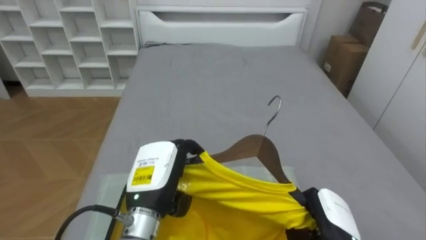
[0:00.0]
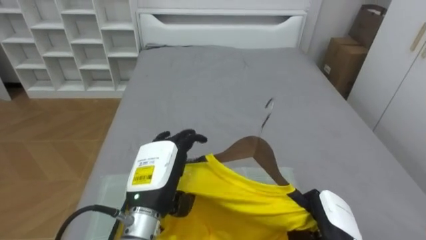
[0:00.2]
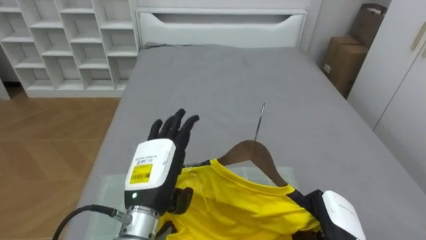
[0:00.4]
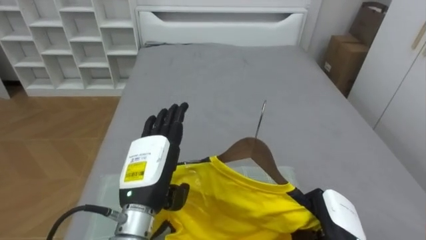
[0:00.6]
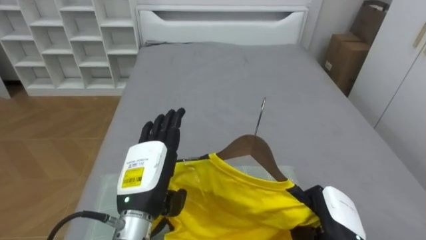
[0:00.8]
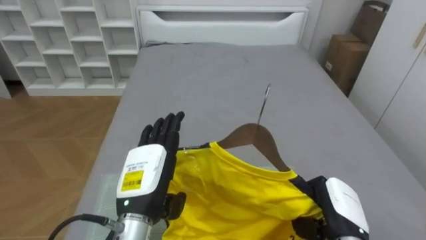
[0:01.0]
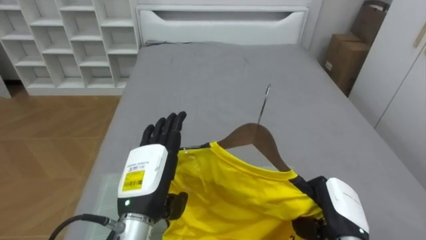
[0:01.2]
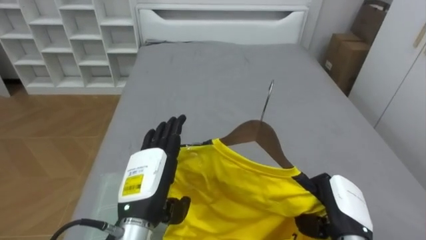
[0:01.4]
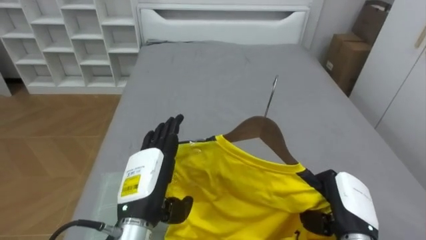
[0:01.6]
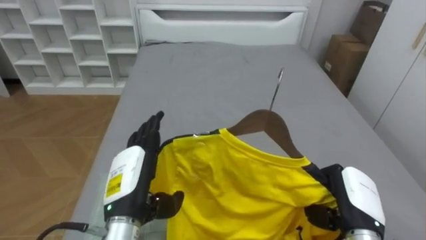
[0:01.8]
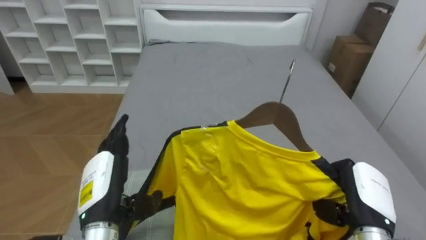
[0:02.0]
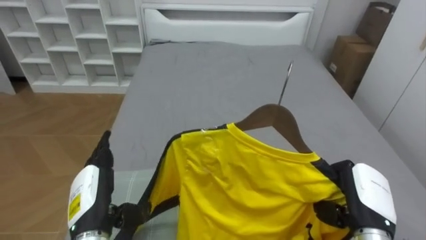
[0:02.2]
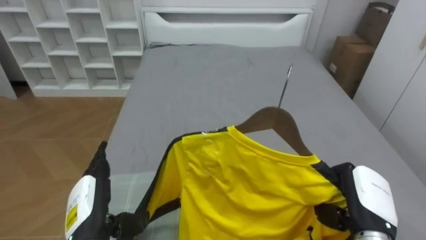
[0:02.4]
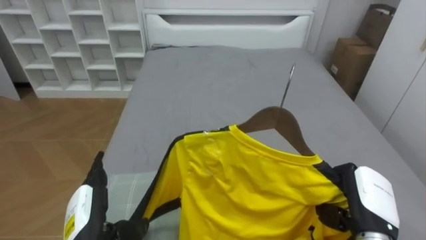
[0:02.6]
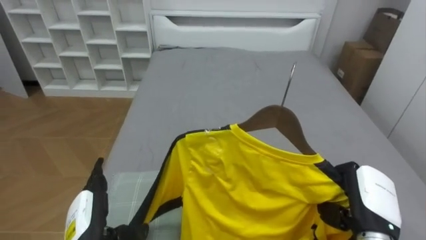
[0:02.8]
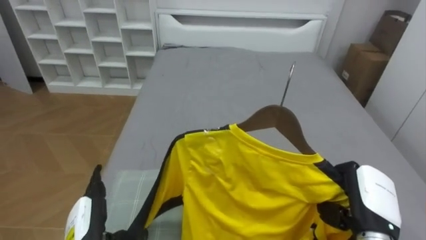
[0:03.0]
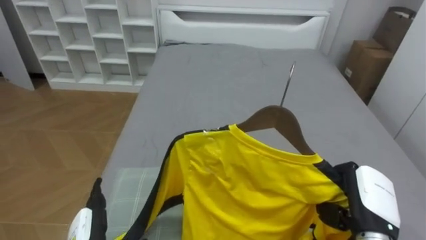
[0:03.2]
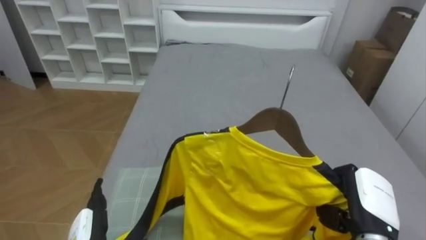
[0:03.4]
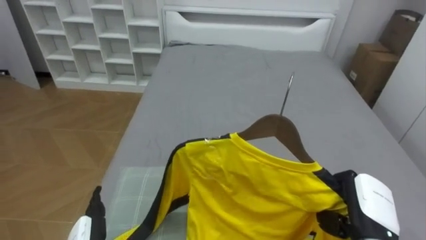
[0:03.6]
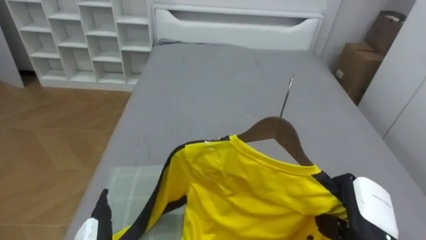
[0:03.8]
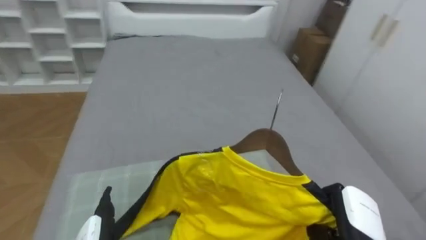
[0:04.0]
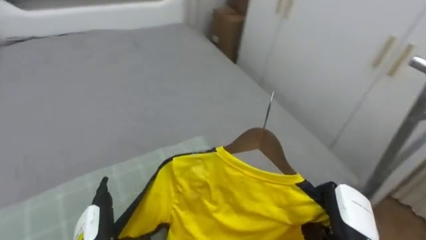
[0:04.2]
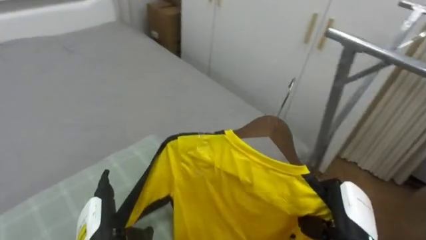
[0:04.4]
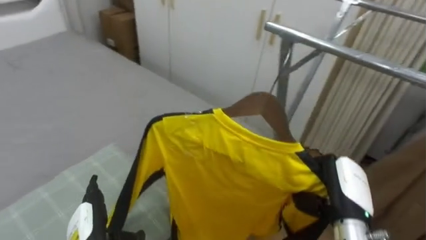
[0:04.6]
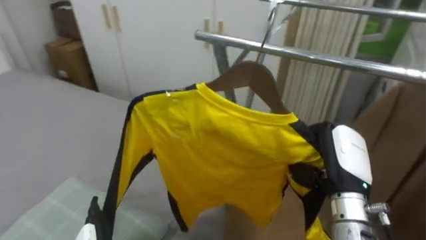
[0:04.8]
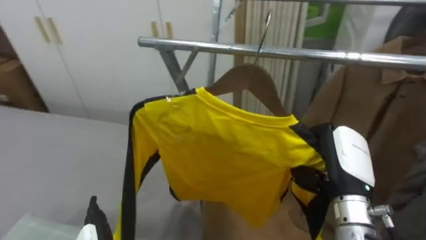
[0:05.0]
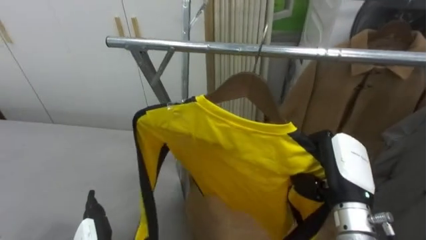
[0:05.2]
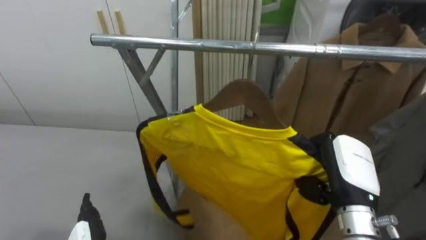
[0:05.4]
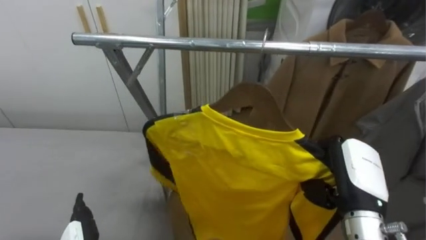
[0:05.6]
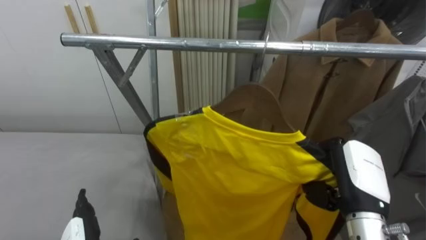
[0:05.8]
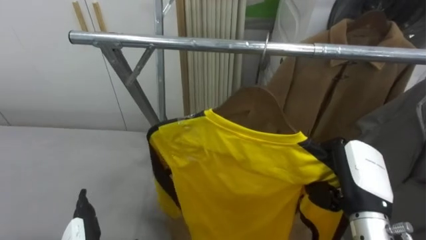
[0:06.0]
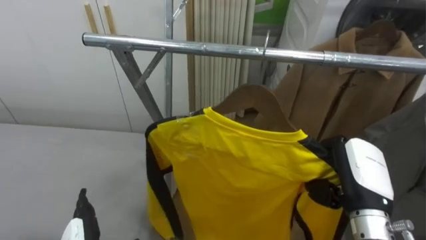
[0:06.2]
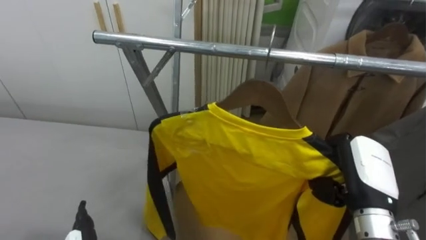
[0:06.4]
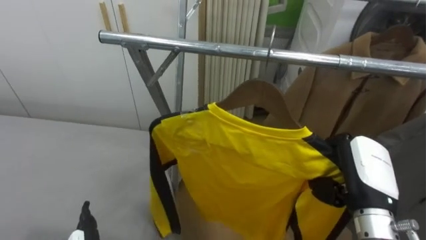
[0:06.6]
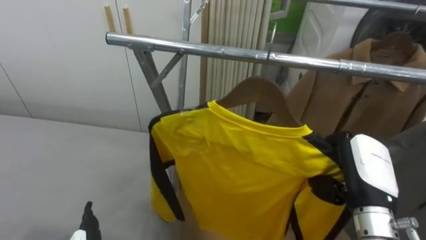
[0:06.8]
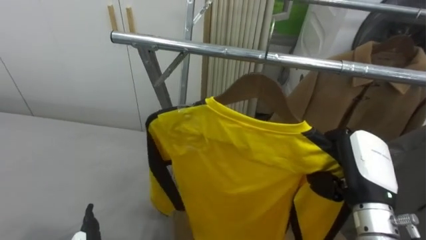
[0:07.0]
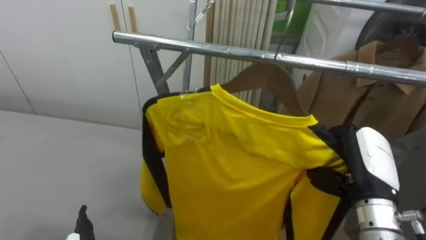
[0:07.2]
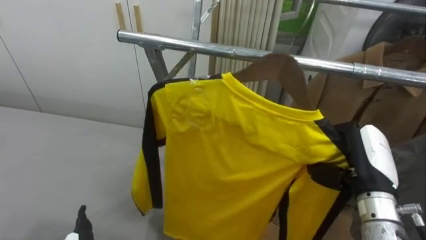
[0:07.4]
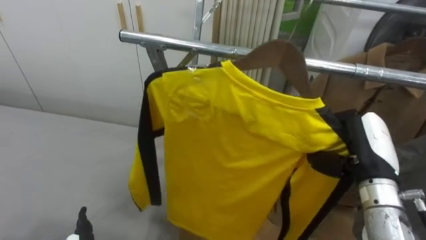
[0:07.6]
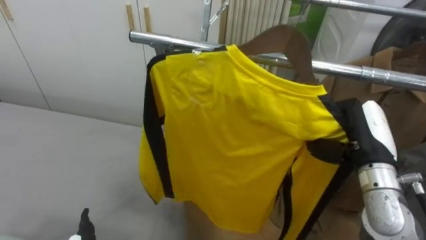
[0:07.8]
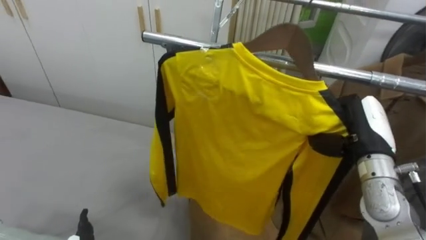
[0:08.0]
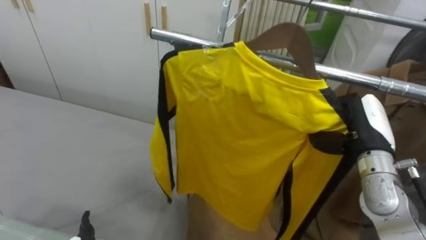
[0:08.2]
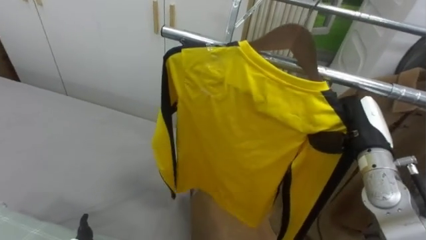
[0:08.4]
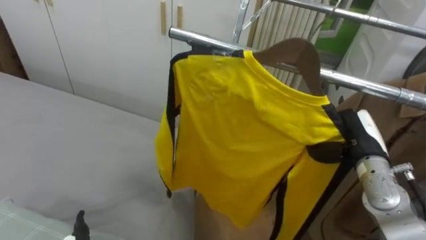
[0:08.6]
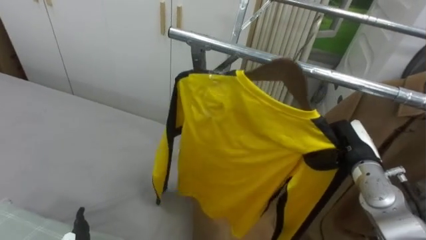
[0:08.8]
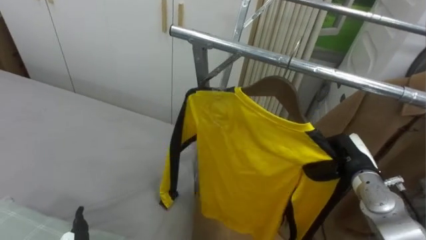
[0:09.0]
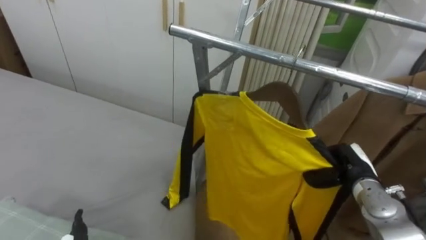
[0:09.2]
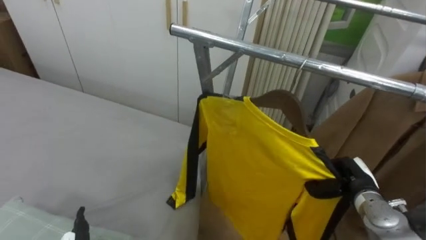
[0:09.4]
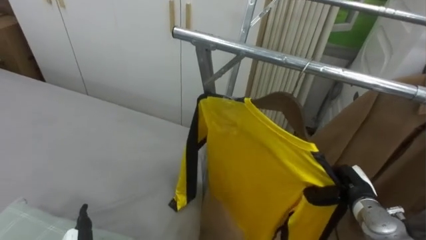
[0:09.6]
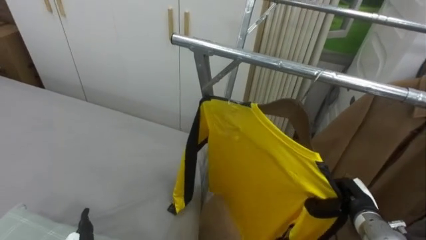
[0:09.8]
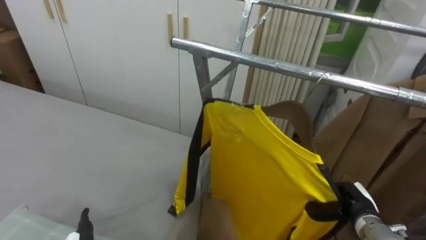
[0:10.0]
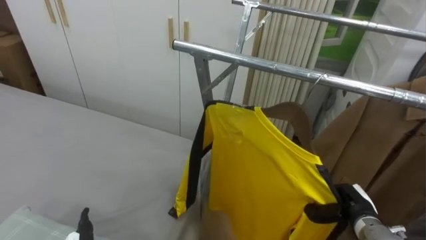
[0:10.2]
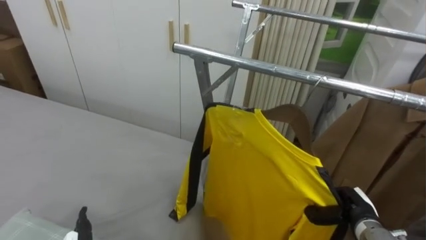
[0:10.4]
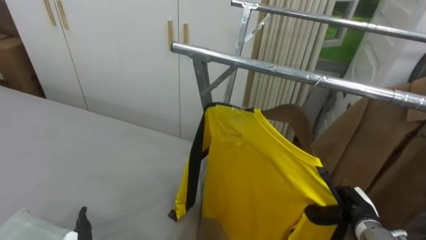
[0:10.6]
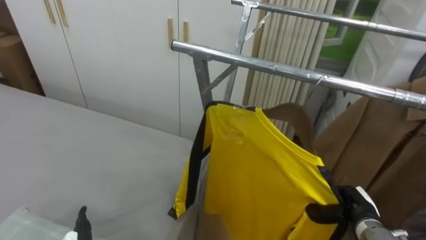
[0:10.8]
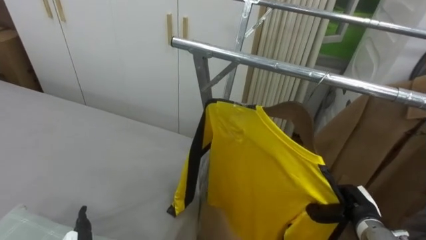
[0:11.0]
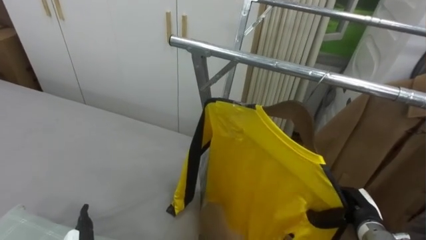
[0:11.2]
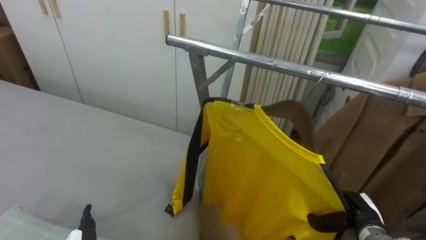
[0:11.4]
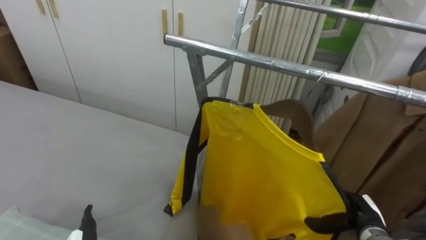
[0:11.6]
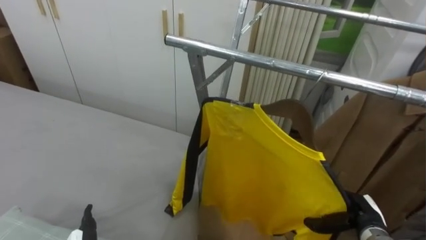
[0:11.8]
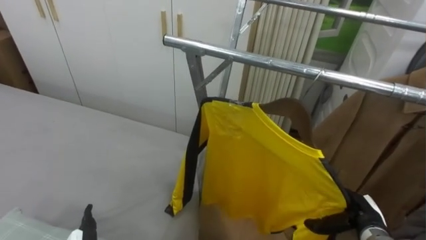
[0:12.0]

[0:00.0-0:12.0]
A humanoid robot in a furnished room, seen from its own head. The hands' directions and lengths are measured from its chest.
Task of the whole recording: Pick up the yellow shirt on the bed and hang it on the clothes rack on the right.
0:00.0 to 0:01.6: The left hand opens.
0:01.6 to 0:03.0: The left hand shifts approximately 15 cm to the left and downward.
0:03.0 to 0:04.4: The robot turns to its right by roughly 45 degrees.
0:04.4 to 0:06.0: The robot rotates approximately 40 degrees to its right. The right hand is displaced upward by some 10 cm.
0:07.6 to 0:09.0: The right hand heads downward and forward, covering about 10 cm.
0:09.0 to 0:10.4: The right hand goes approximately 10 cm downward and backward.
0:10.4 to 0:12.0: The right hand opens its fingers.

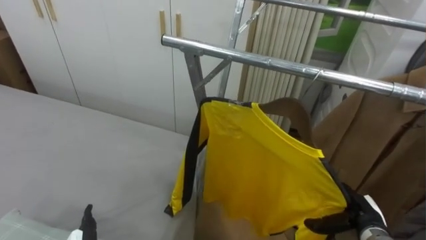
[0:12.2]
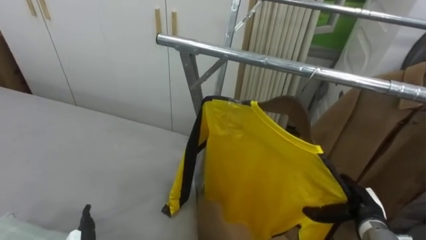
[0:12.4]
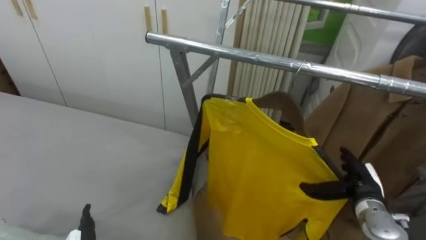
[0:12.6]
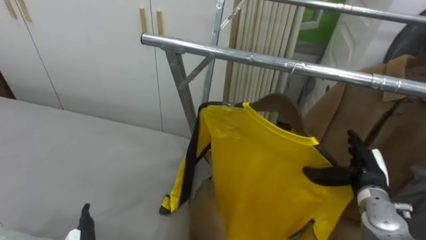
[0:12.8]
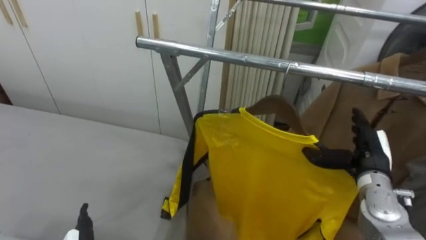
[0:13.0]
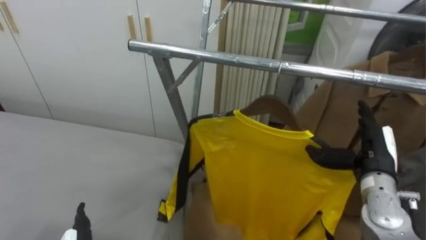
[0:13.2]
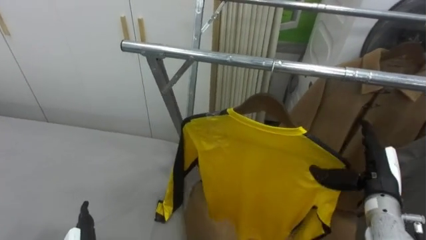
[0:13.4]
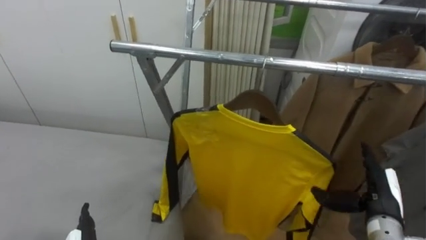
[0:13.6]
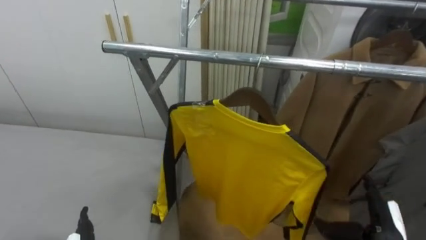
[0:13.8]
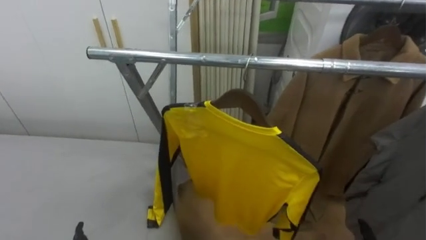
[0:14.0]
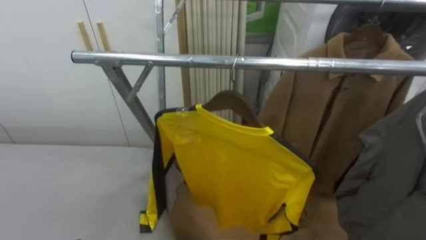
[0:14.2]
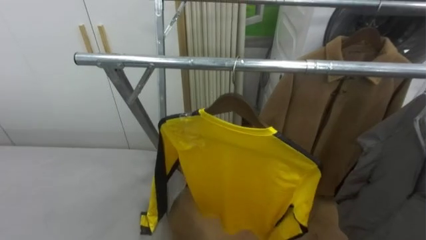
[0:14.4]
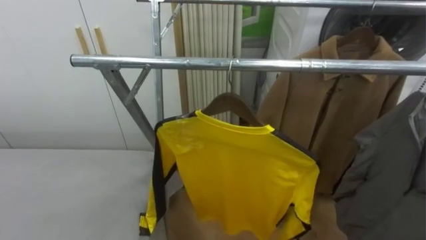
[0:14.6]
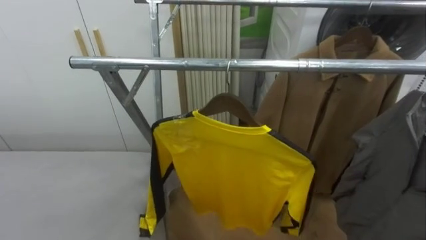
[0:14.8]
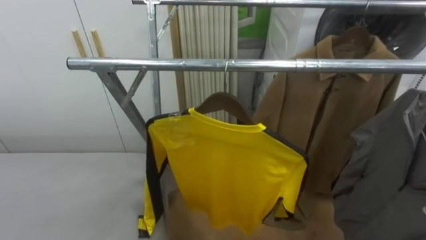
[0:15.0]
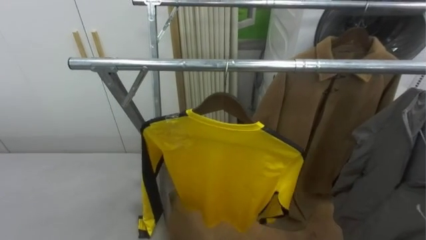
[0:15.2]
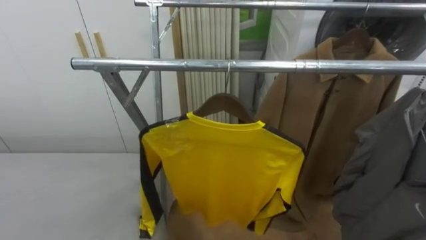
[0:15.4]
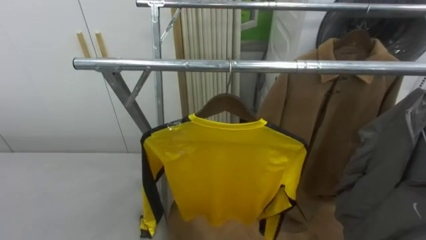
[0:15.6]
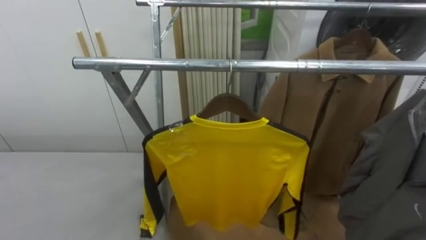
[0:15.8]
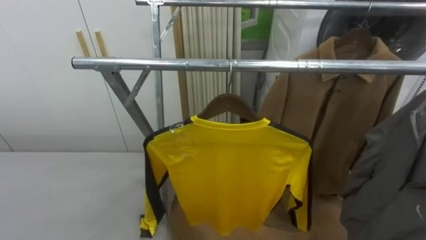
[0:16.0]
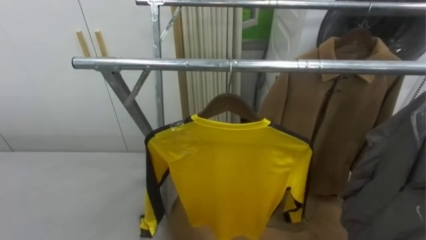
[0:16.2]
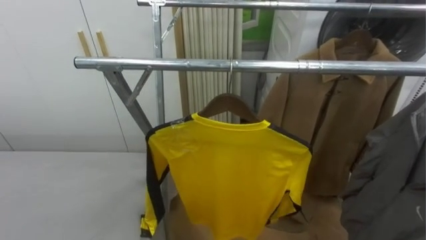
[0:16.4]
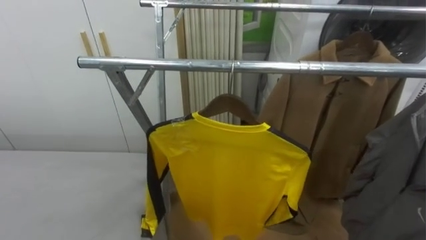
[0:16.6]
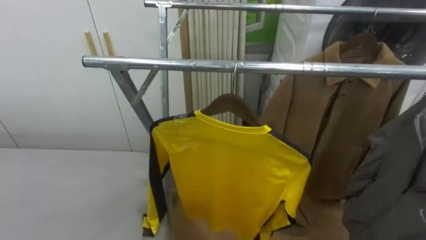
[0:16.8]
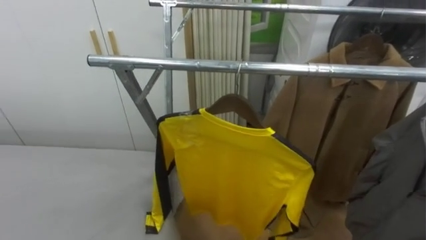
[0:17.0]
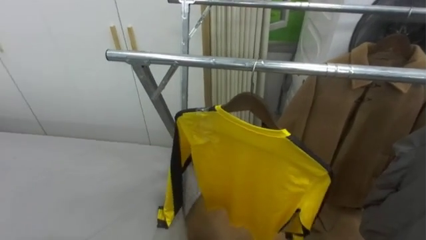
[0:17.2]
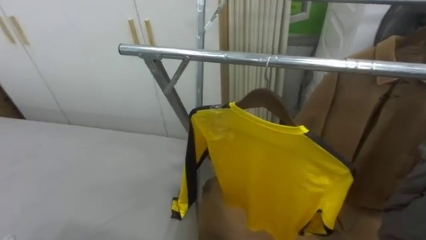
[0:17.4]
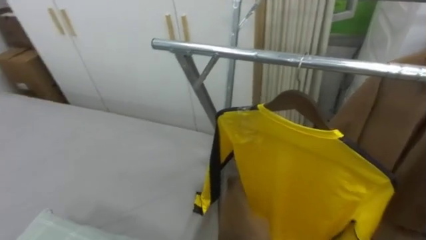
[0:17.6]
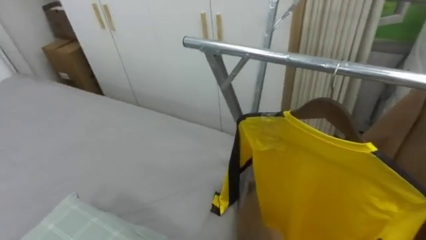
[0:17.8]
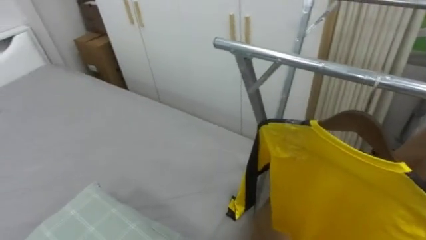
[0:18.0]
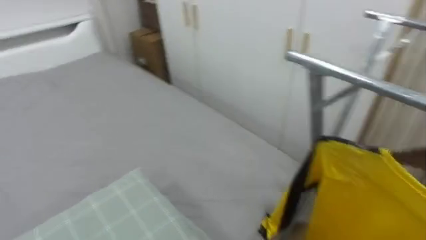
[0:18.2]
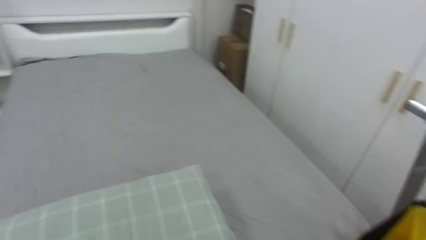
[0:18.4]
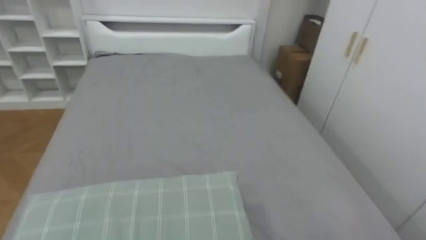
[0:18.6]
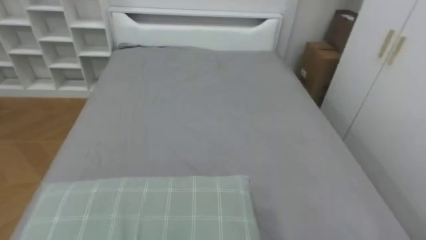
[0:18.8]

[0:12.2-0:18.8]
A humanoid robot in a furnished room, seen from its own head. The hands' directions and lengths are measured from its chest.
Task of the whole recording: Pick up the yellow shirt on the bed and hang it on the clothes rack on the right.
0:12.2 to 0:13.8: The right hand shifts about 5 cm upward.
0:17.2 to 0:18.8: The robot turns to its left by roughly 75 degrees.
